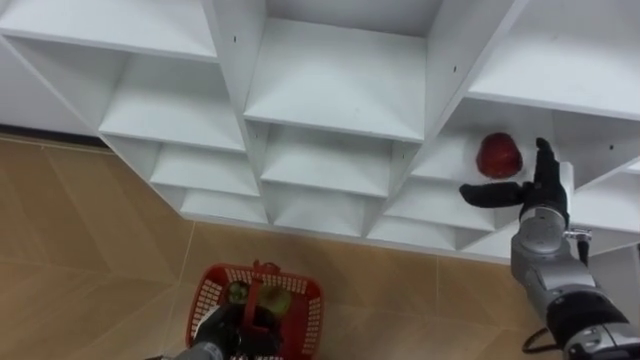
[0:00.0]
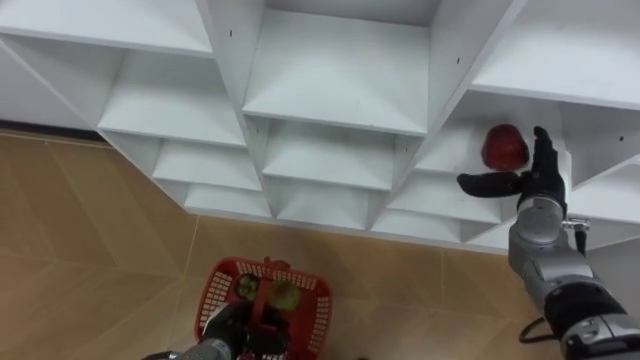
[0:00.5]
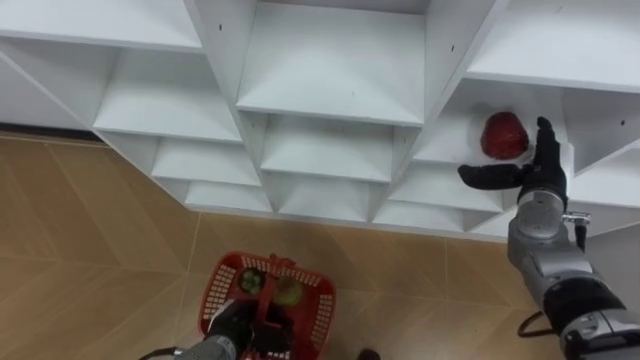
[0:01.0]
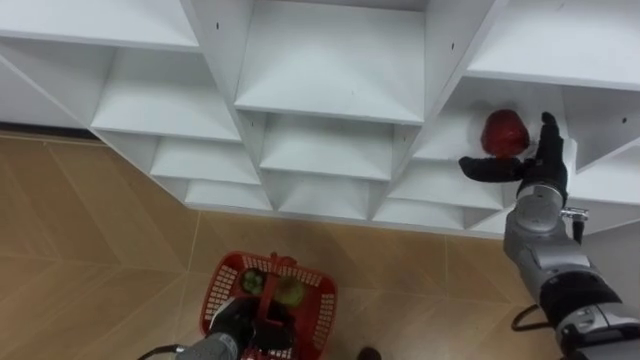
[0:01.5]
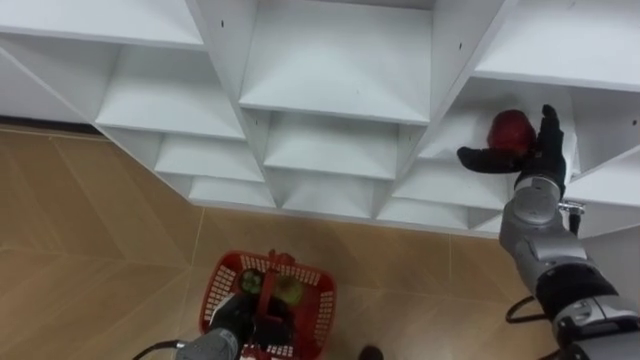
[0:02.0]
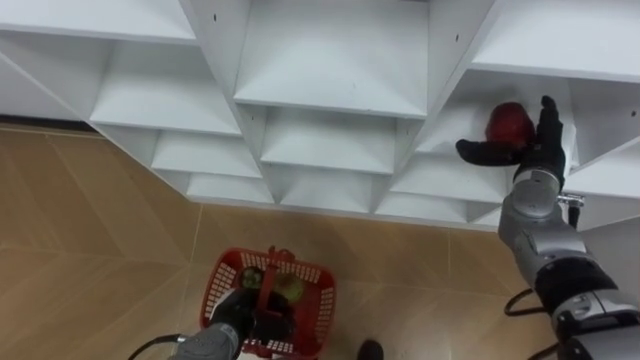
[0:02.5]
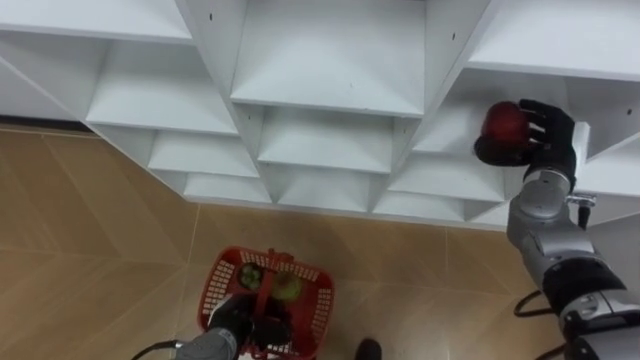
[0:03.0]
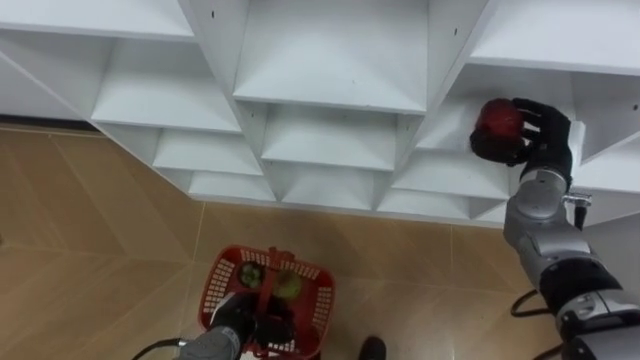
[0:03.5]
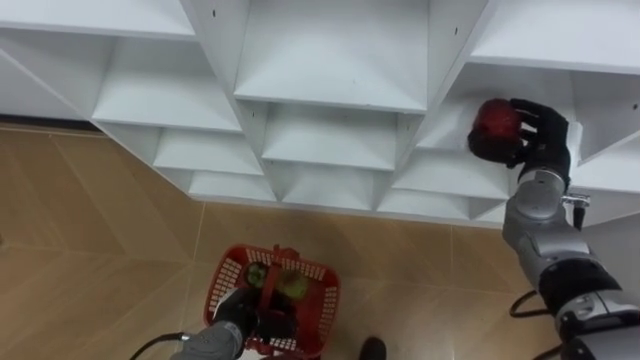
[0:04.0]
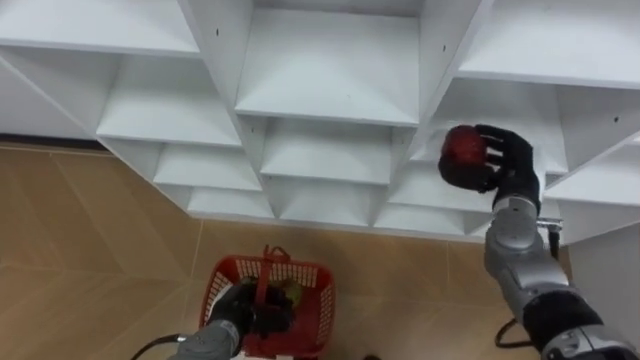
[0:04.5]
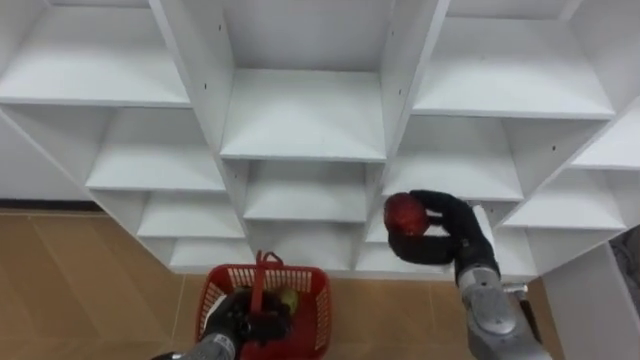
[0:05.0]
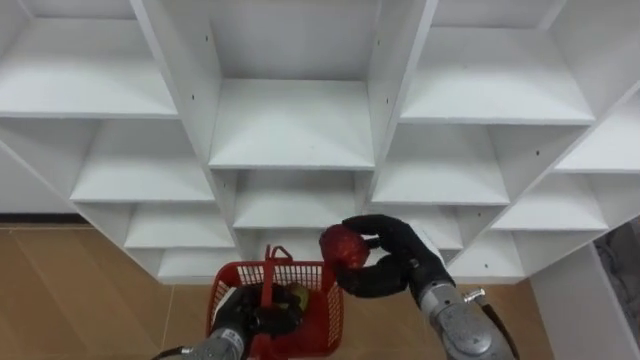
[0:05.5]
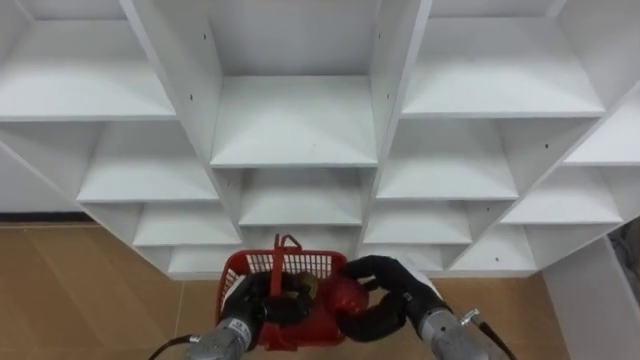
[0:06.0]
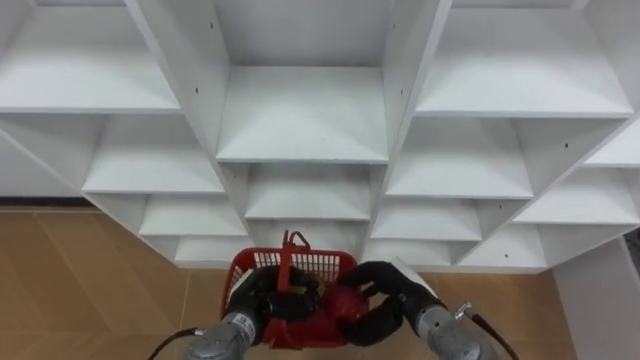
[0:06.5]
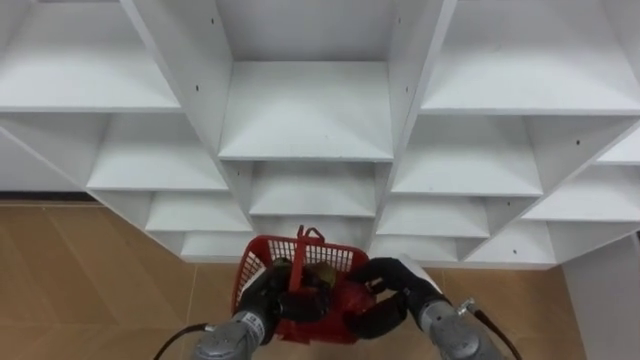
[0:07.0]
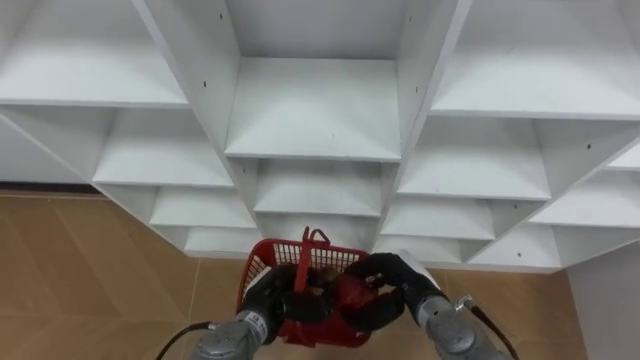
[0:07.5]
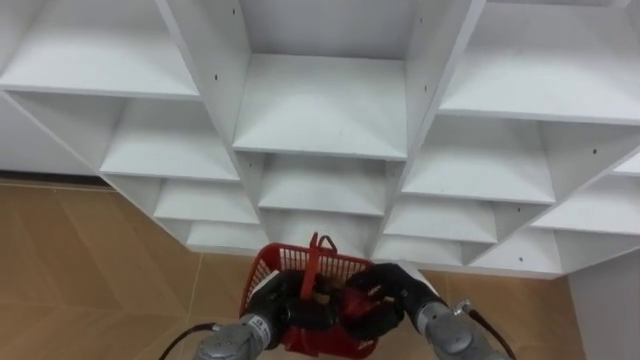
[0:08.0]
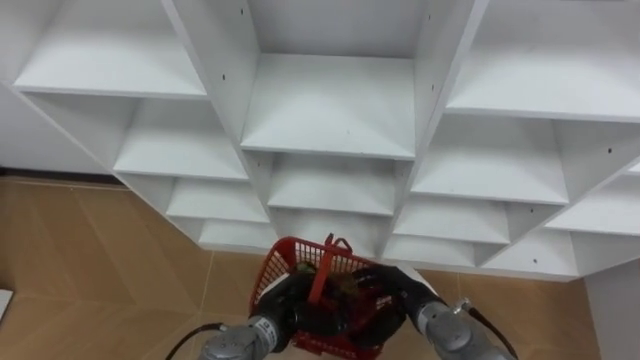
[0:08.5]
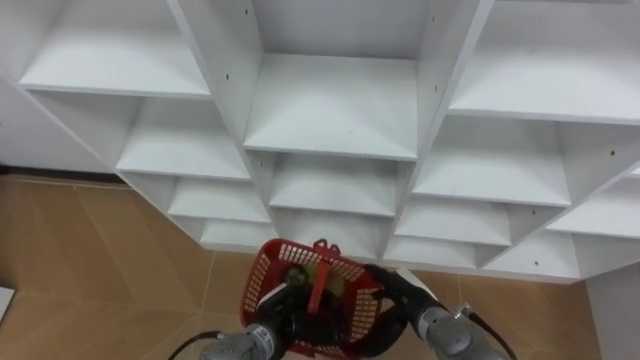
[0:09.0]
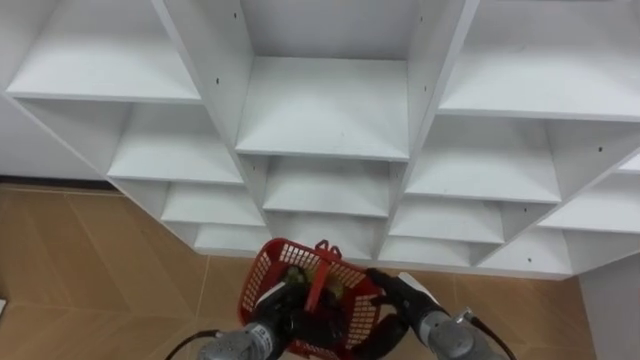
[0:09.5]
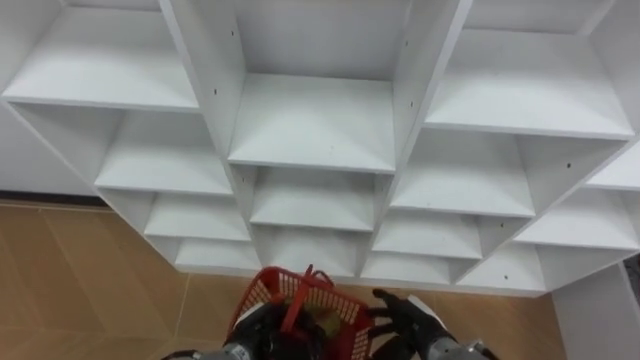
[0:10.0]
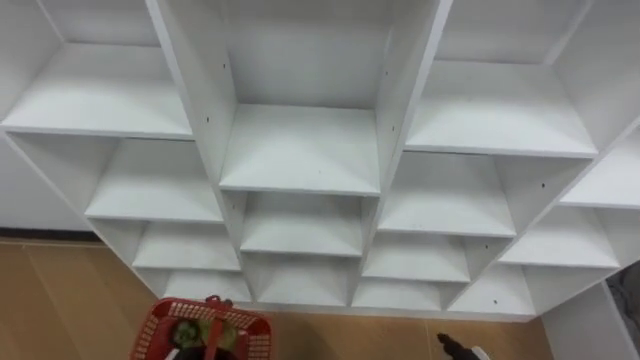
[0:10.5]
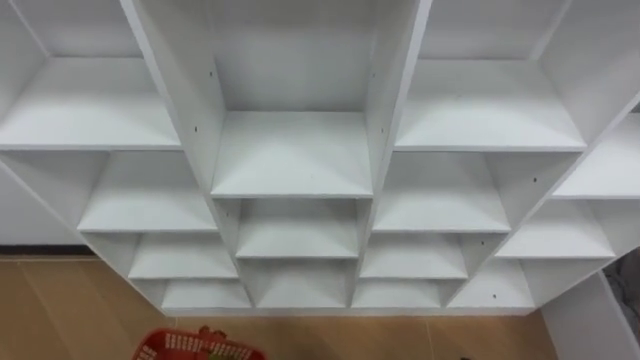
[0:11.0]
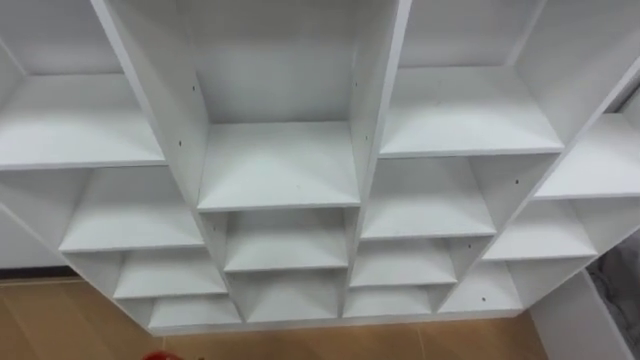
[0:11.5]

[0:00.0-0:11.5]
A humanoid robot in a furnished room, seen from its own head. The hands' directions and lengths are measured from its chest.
Task of the whole recording: Hold the basket and collect the fruits from 3 different cells of the closet into it.
0:02.0 to 0:04.0: The right hand closes up.
0:04.0 to 0:06.0: The right hand travels to the left, backward and downward by some 25 cm.
0:07.5 to 0:09.5: The right hand opens its fingers.

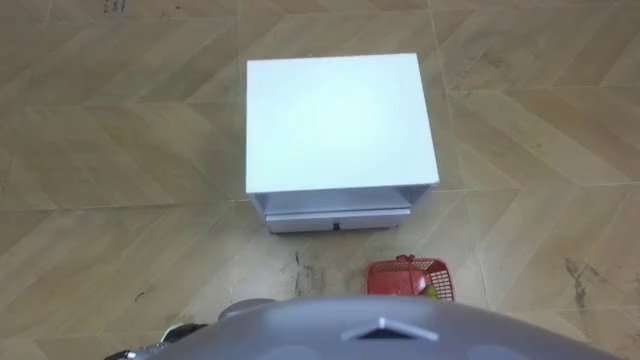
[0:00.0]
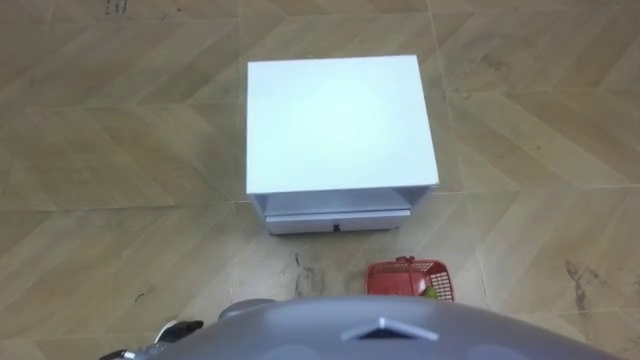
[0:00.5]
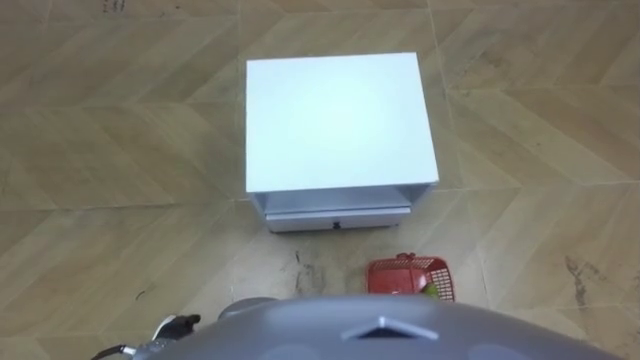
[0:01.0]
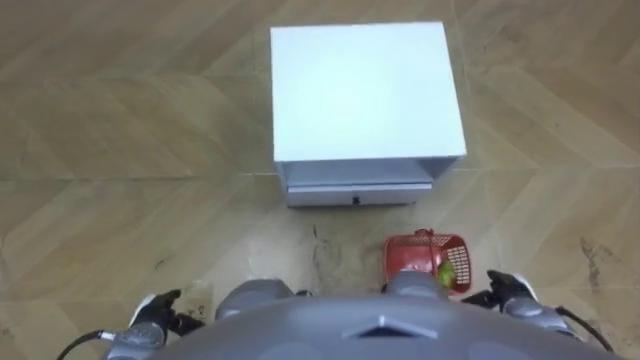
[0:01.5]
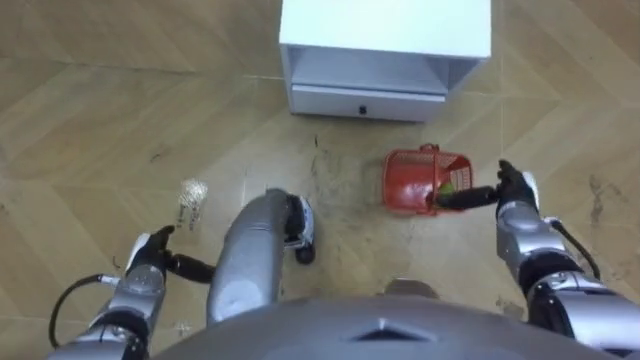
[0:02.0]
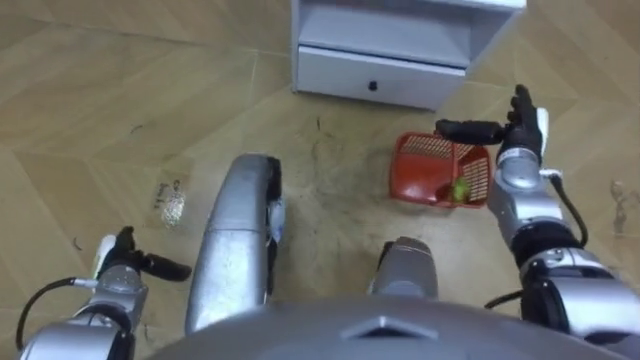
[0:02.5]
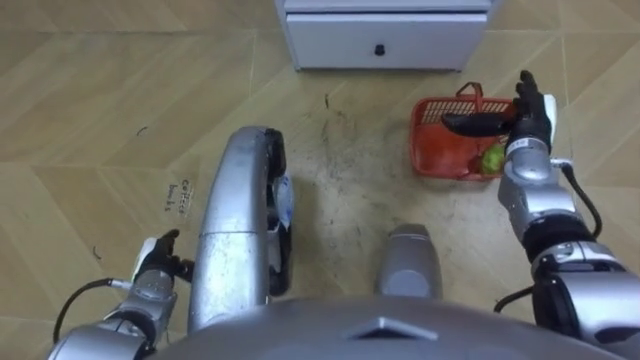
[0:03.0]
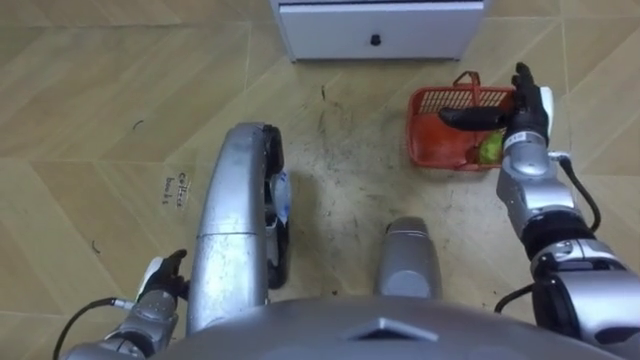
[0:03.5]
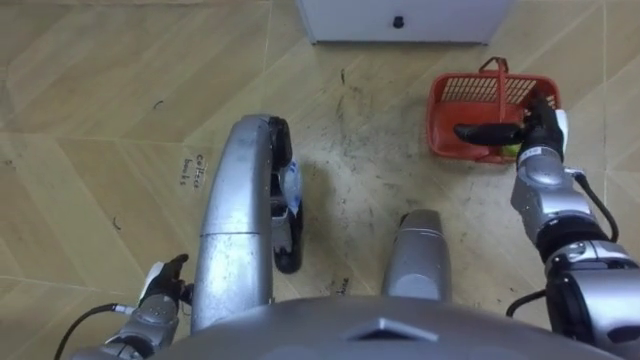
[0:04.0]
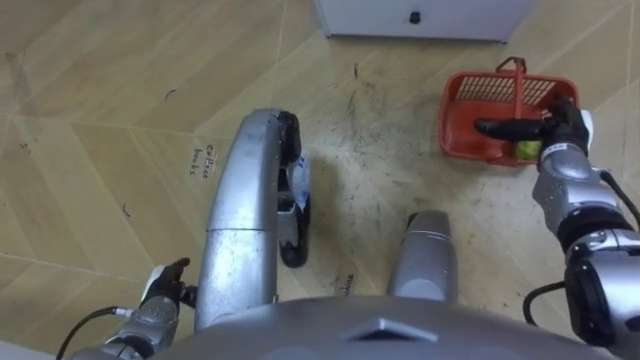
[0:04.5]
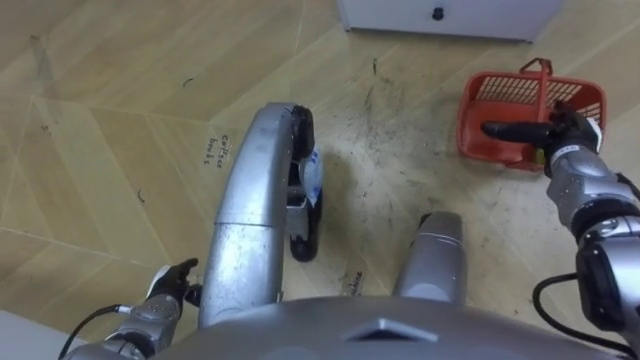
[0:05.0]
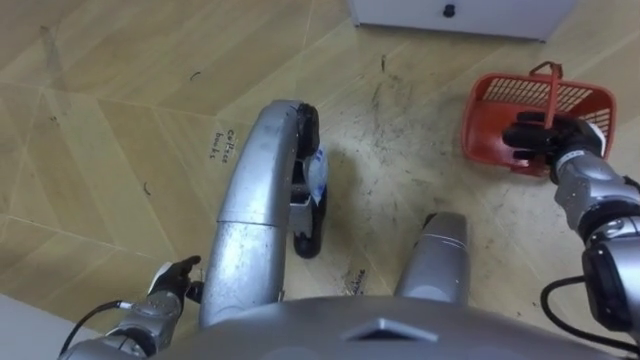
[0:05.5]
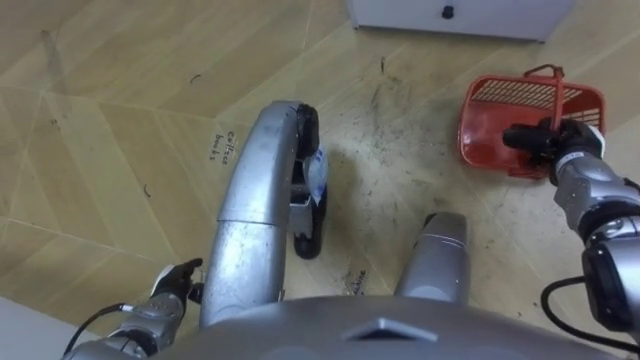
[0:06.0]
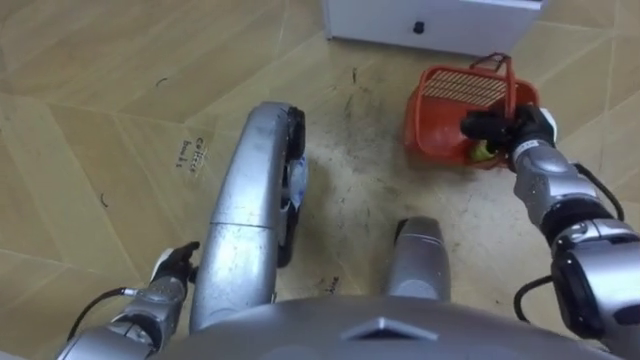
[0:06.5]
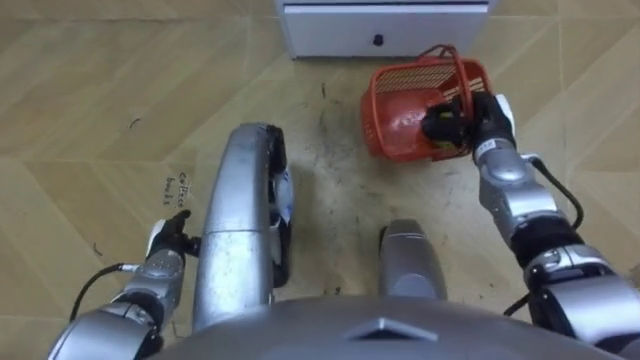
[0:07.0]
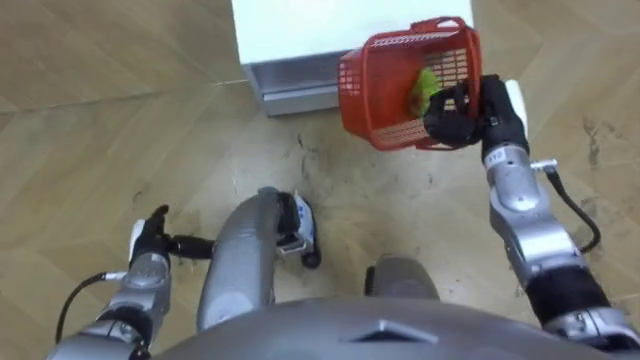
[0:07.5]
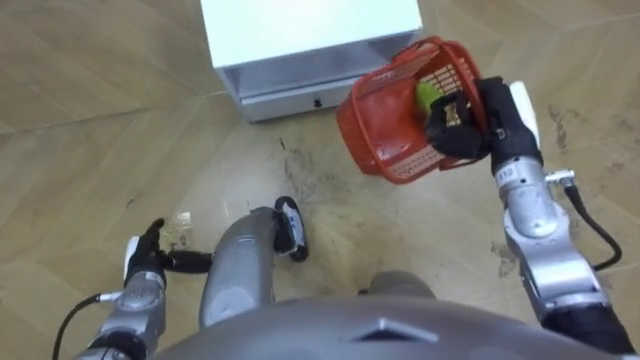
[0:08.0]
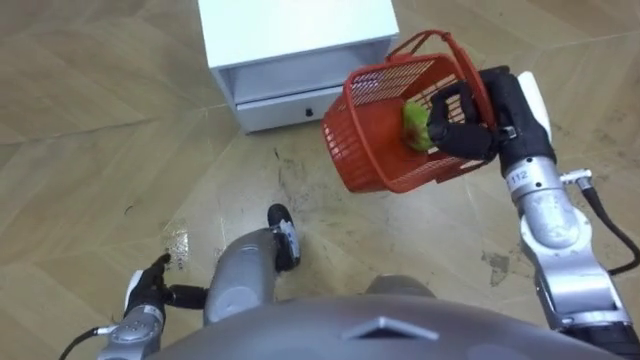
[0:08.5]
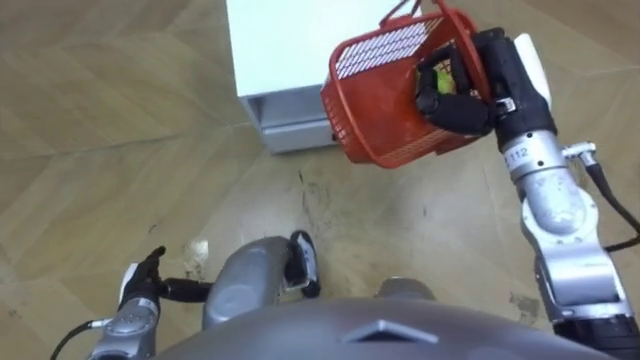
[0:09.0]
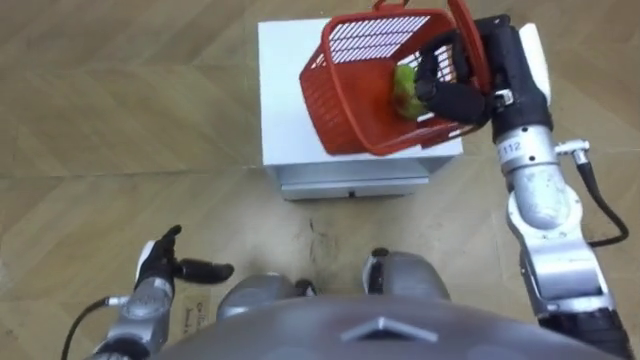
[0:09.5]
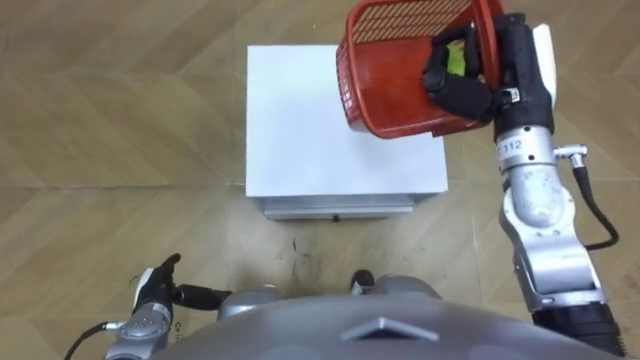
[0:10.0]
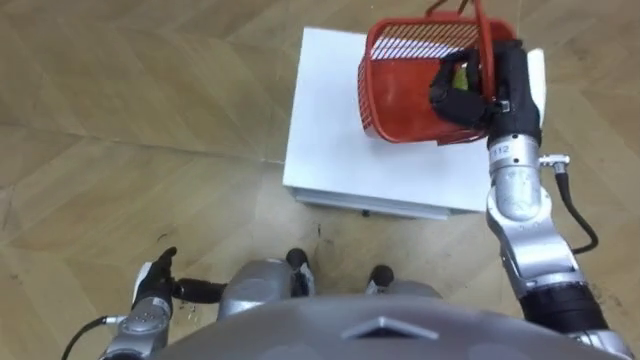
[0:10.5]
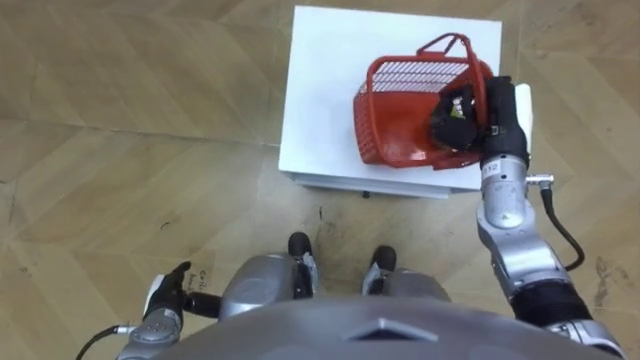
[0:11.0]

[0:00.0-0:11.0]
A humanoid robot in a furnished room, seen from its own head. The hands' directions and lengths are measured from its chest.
Task of the whole recording: Pick up the fruit basket from the floor and place it on the cabinet.
0:02.0 to 0:03.5: The right hand goes some 15 cm forward and upward.
0:03.5 to 0:05.5: The right hand shifts about 5 cm to the right, and closes.
0:05.5 to 0:07.5: The robot faces about 15 degrees further to its right. The left hand moves forward, some 5 cm; the right hand shifts about 15 cm to the left and upward.
0:07.5 to 0:09.0: The left hand is displaced backward by some 5 cm. Meanwhile the right hand moves upward, about 10 cm.
0:09.0 to 0:11.0: The right hand travels downward by approximately 10 cm.
